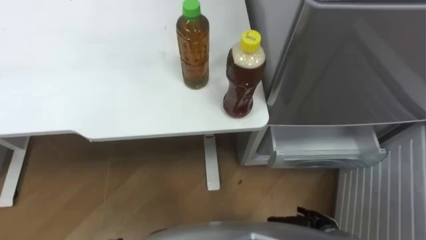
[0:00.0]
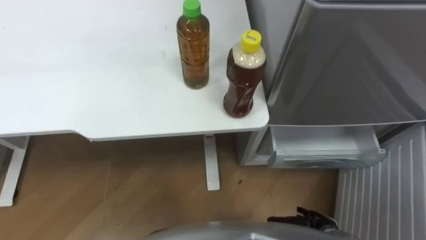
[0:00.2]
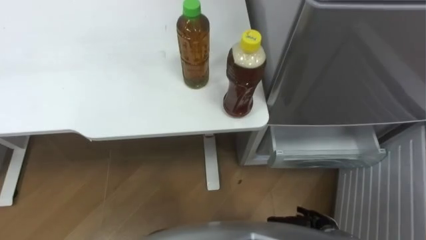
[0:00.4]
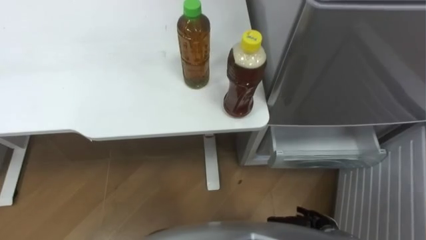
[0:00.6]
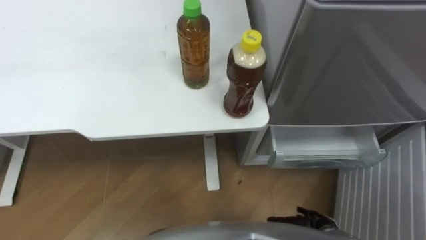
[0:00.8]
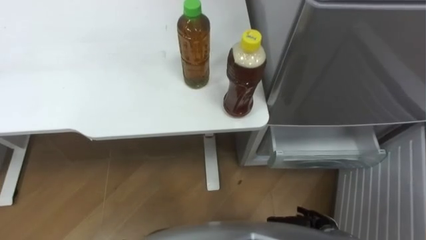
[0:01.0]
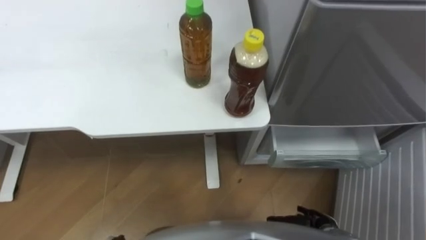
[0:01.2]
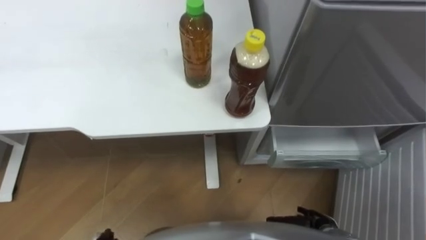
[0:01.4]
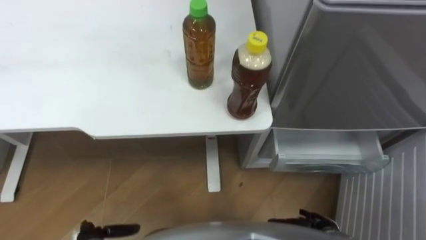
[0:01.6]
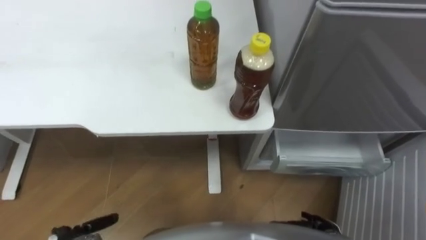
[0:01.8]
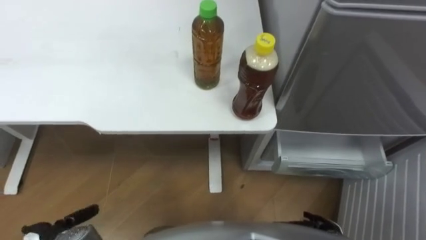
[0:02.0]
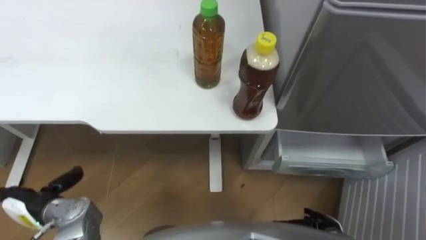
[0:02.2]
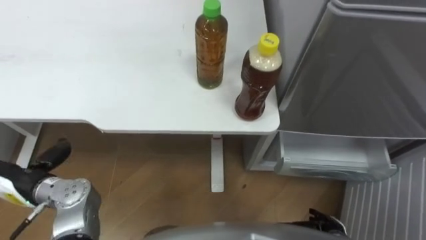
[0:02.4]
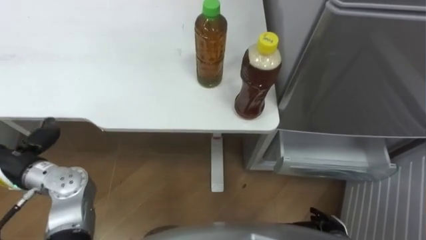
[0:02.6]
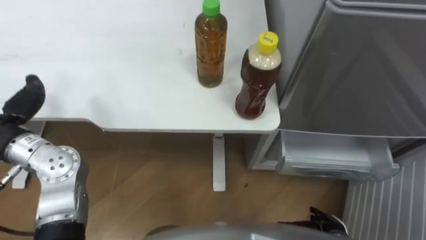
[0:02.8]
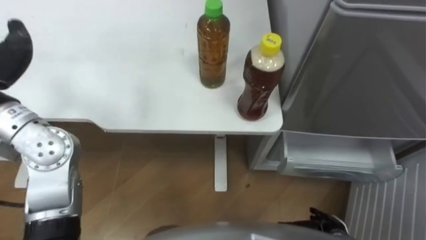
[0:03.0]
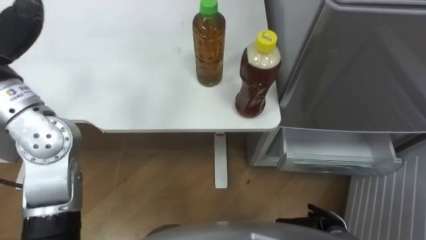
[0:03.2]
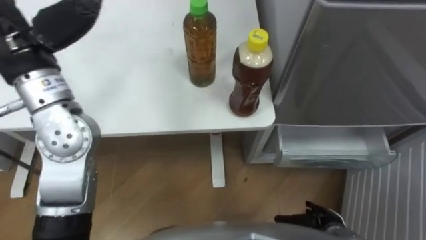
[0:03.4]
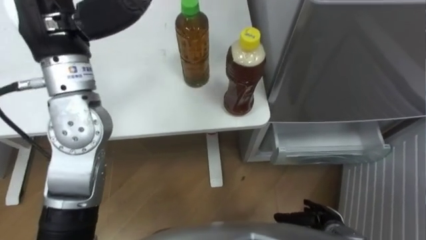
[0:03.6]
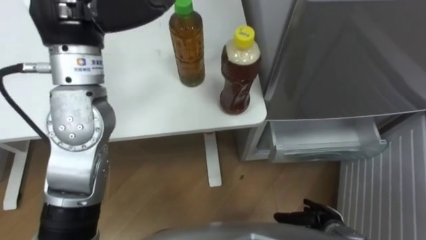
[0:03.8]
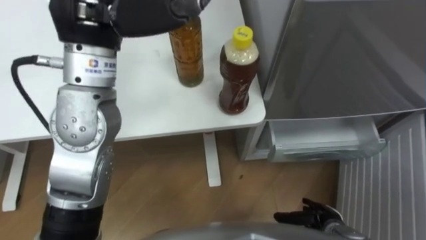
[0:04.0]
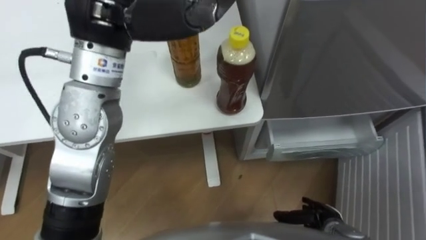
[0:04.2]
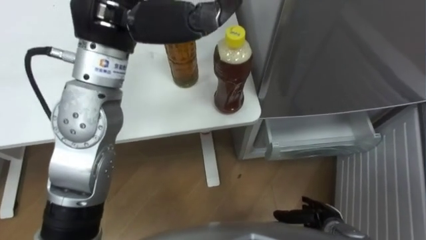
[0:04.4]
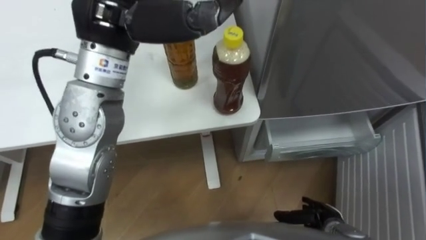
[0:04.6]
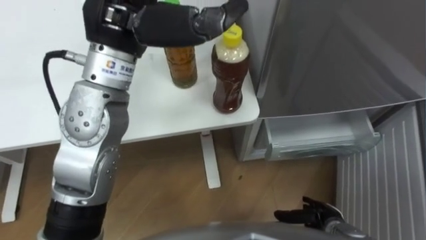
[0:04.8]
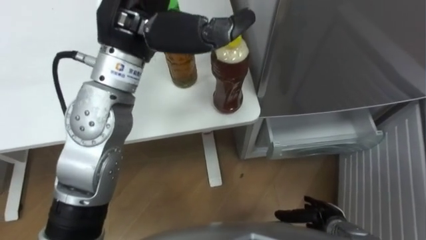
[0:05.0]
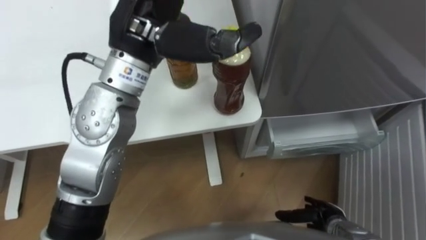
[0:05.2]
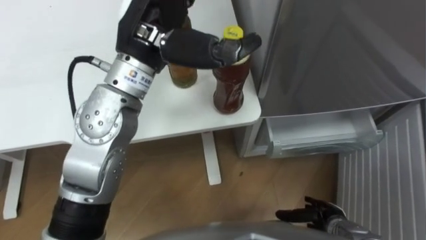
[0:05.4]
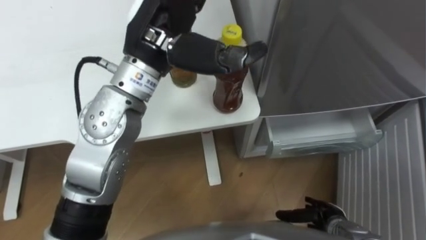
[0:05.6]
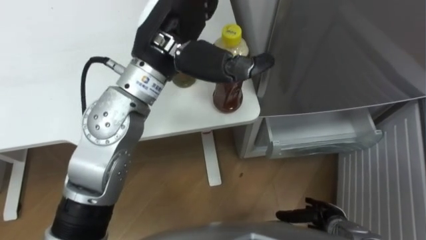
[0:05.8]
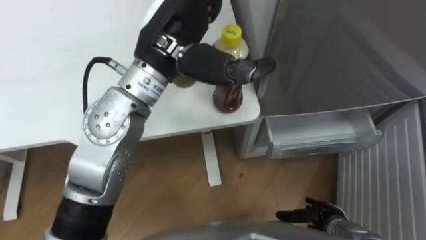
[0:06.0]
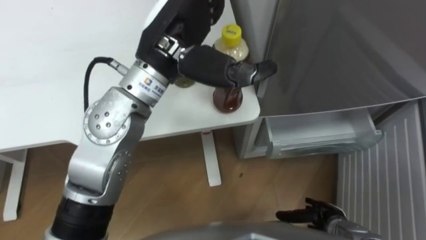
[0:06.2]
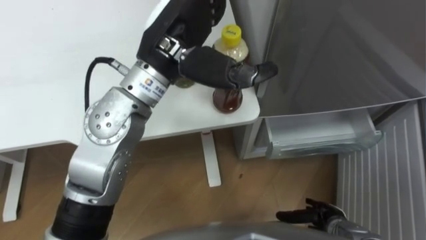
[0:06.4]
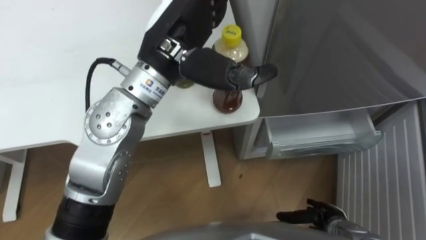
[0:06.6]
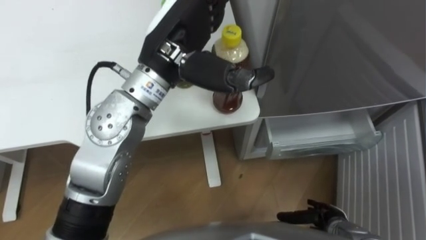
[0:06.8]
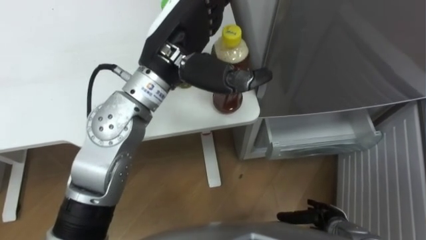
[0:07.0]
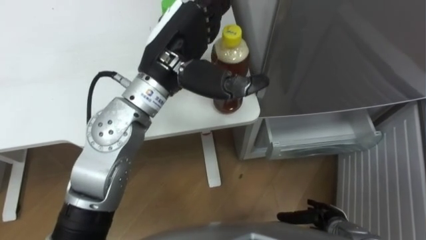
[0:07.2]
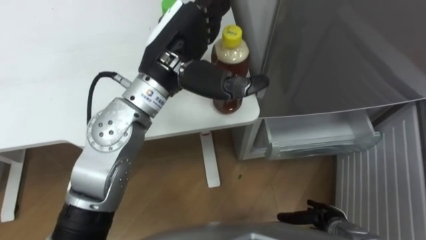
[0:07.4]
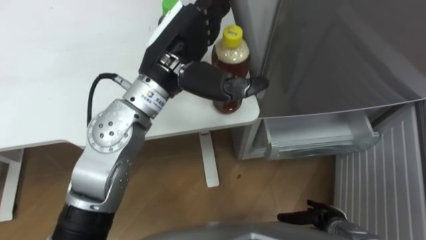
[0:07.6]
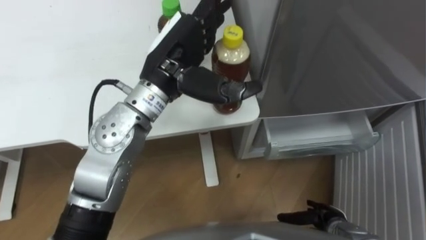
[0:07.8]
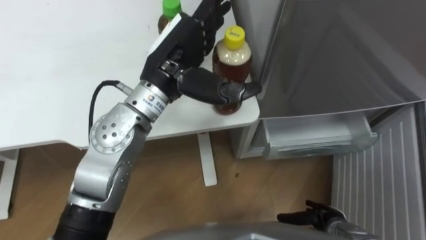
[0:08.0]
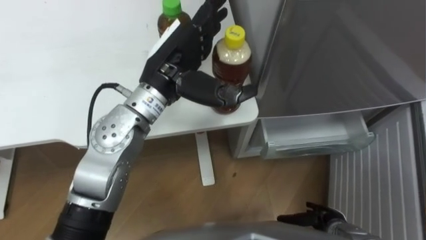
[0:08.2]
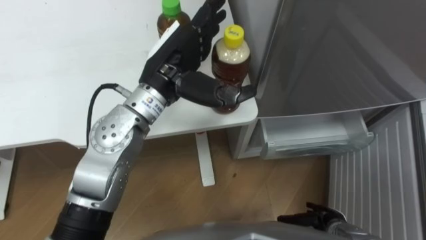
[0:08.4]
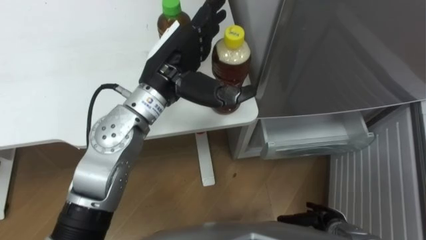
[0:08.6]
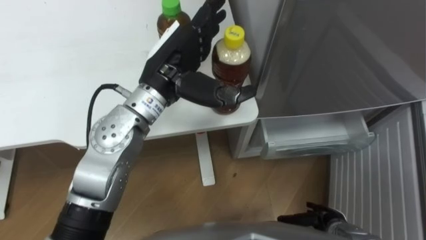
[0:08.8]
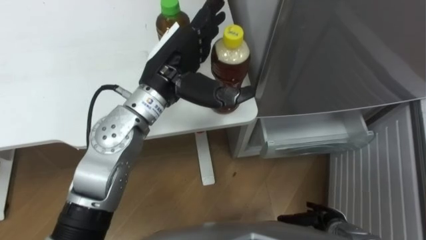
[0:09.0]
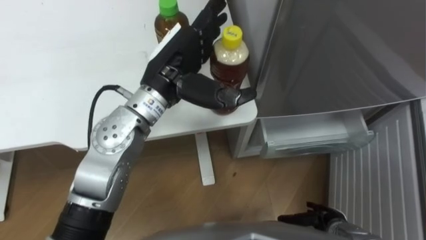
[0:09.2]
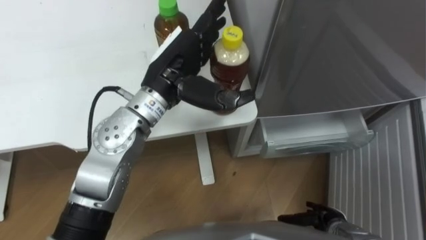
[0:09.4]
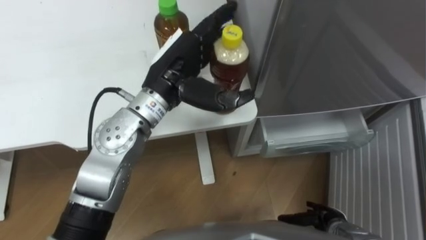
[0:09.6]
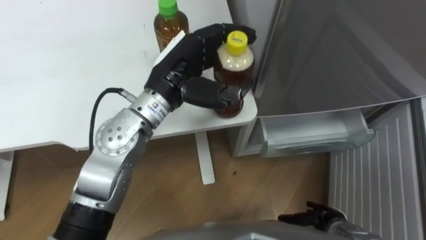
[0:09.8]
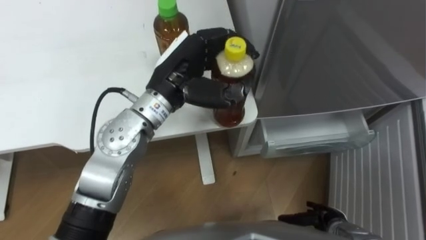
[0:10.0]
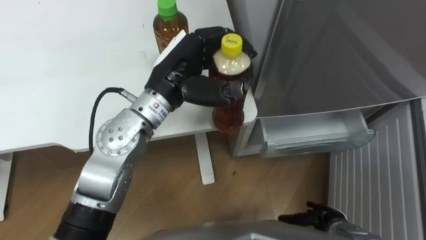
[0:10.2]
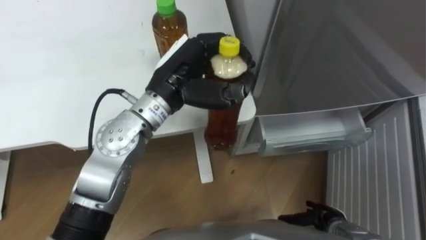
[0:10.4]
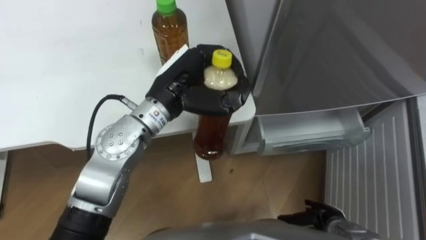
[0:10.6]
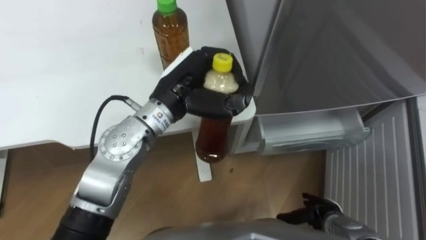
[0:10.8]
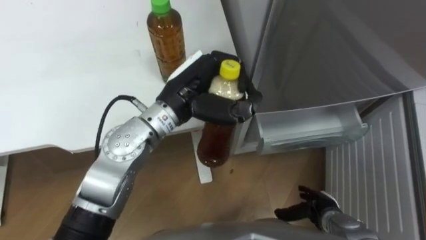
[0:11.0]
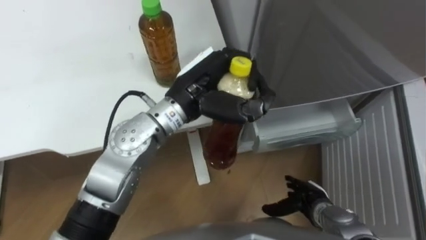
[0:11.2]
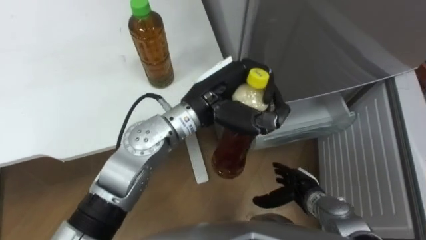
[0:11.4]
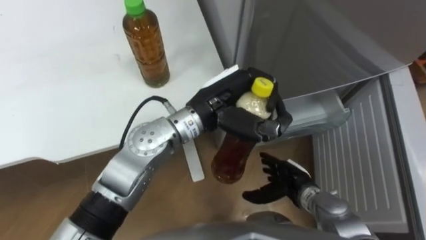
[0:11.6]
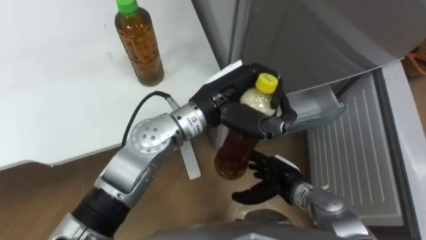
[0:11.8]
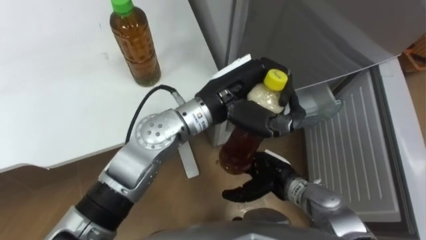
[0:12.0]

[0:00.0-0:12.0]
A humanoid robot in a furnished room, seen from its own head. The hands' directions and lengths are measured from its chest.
Task of the whole recording: Place the drink on the table on the bottom shelf of the refrigerator, then close the drawer and the refrigerator door.
0:04.4 to 0:06.0: The left hand travels downward and to the right by roughly 10 cm.
0:06.0 to 0:07.6: The hands stay close to where they were, moving slightly.
0:07.6 to 0:09.0: The hands make only small movements.
0:09.0 to 0:10.4: The left hand closes.
0:10.4 to 0:12.0: The right hand moves to the left, forward and upward, roughly 20 cm; the left hand moves to the right, approximately 10 cm.

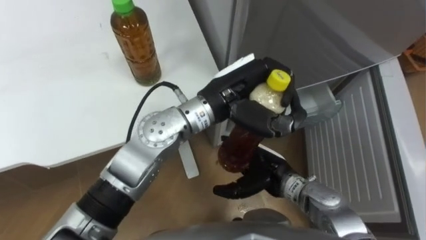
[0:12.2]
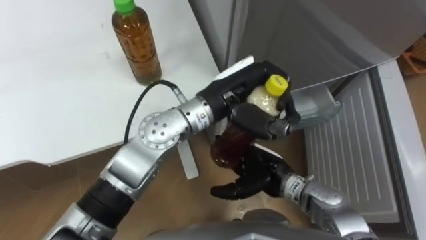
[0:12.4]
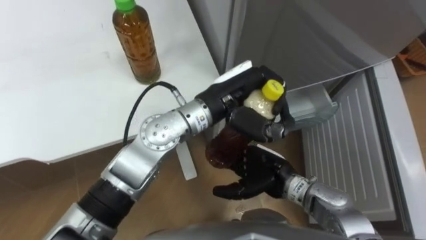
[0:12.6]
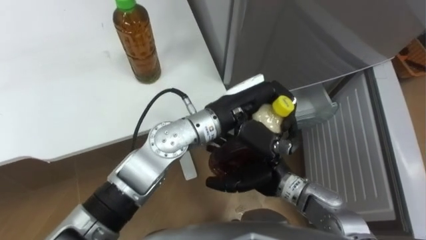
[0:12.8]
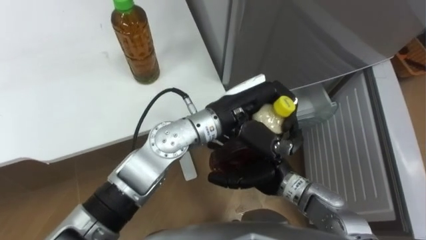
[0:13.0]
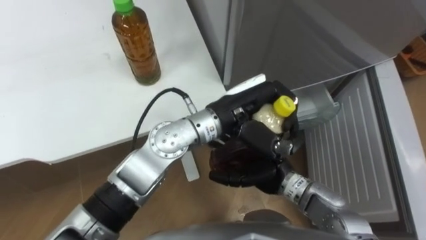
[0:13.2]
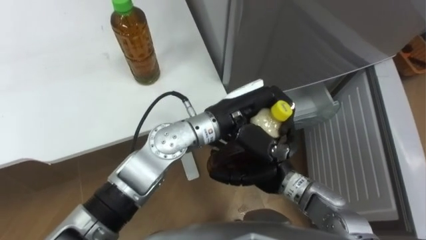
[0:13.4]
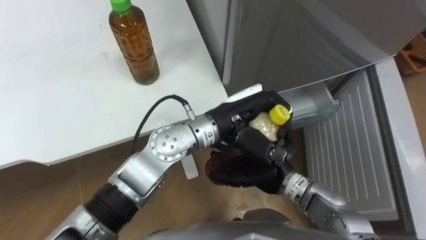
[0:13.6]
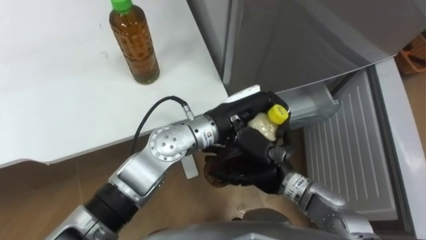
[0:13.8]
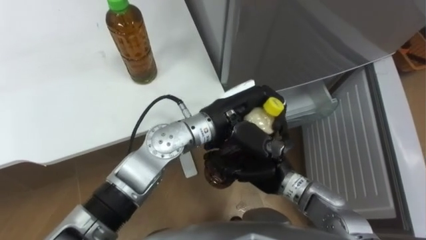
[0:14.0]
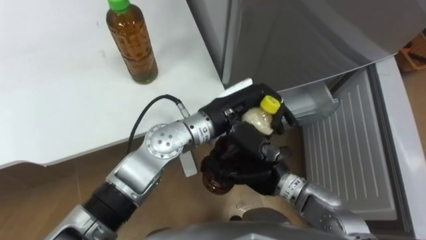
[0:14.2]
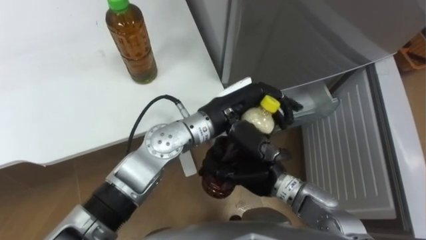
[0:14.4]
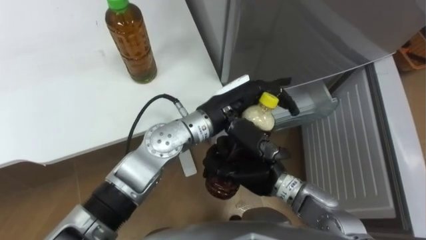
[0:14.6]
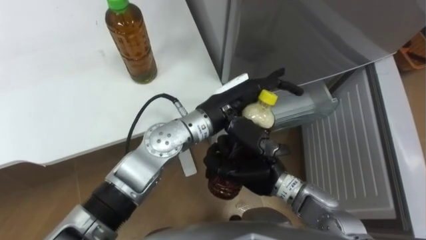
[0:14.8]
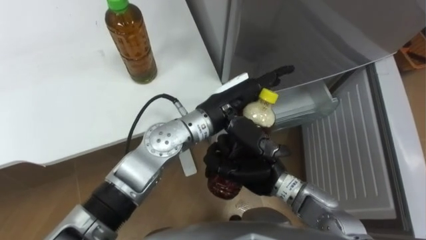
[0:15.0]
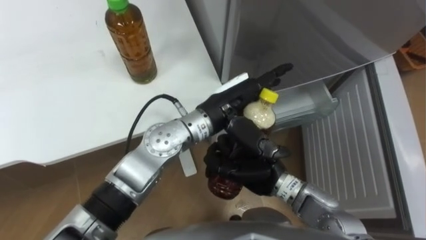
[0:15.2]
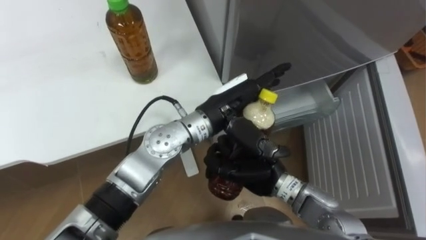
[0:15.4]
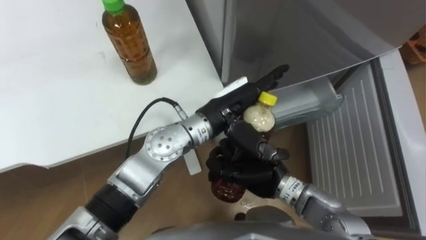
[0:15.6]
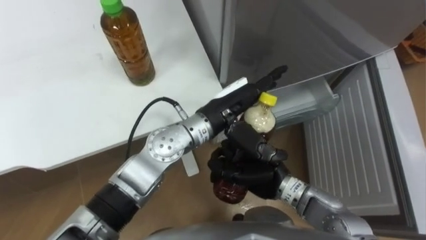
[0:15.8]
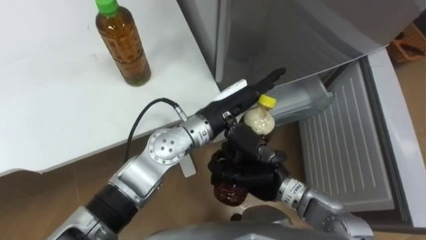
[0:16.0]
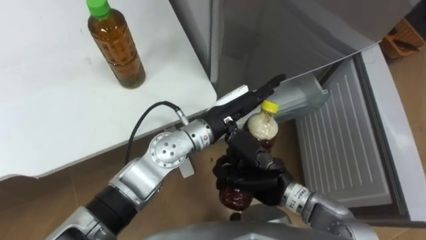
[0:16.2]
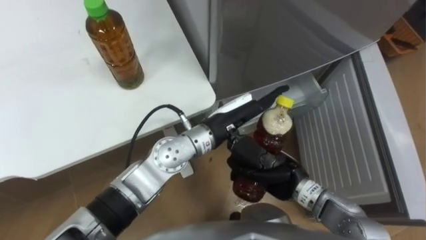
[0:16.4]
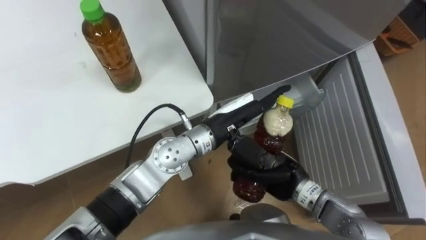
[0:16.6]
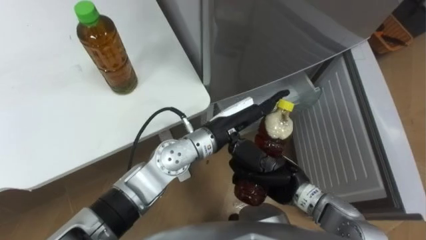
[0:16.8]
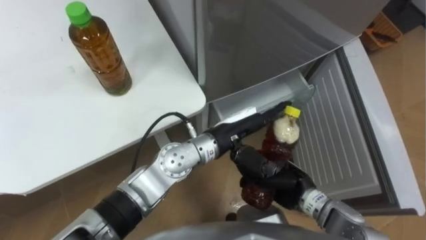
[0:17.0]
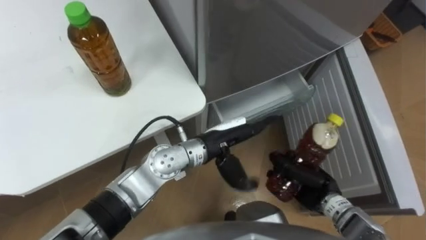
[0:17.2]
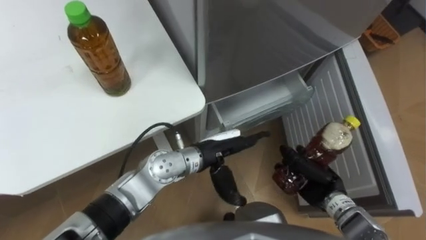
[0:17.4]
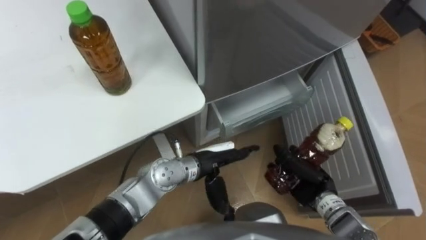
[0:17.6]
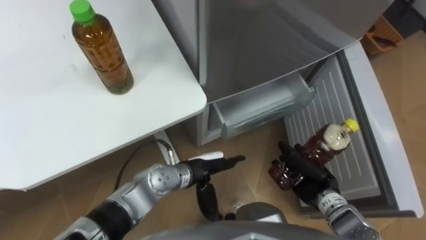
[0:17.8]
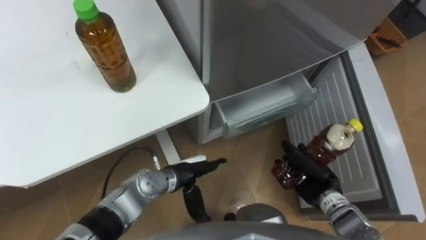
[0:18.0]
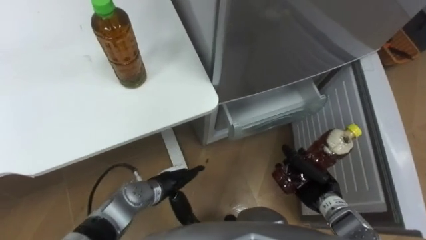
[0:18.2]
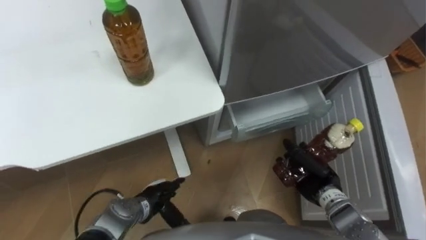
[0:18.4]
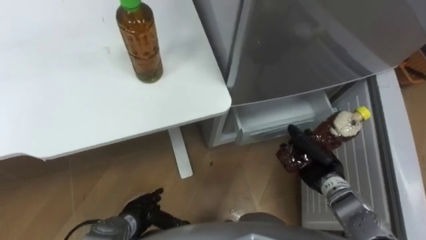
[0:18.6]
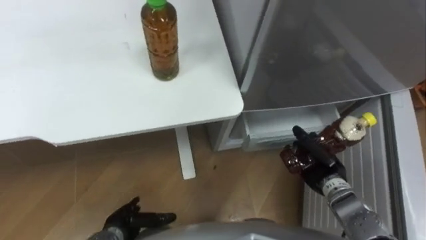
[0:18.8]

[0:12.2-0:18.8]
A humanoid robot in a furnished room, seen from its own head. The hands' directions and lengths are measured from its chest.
Task of the whole recording: Place the drink on the table on the bottom shelf of the refrigerator, then close the drawer and the refrigerator door.
0:12.2 to 0:13.8: The left hand shifts by about 5 cm.
0:13.8 to 0:15.4: The left hand opens its fingers. Meanwhile the right hand closes up.
0:15.4 to 0:17.2: The left hand moves downward, about 5 cm. Meanwhile the right hand travels to the right and downward by approximately 15 cm.
0:17.2 to 0:18.8: The left hand goes roughly 30 cm to the left, downward and backward.
